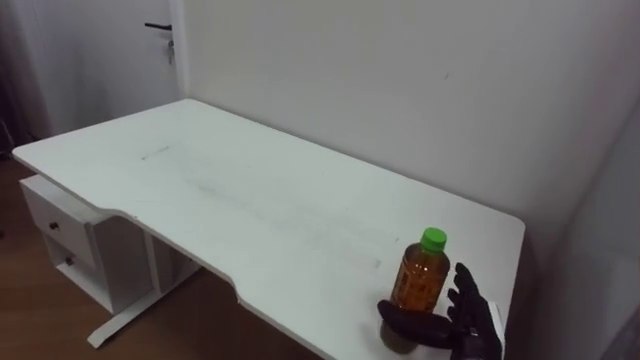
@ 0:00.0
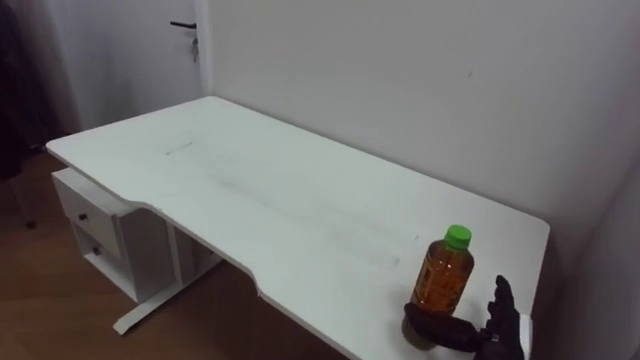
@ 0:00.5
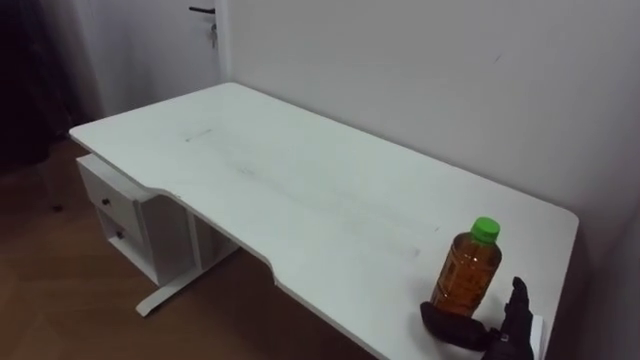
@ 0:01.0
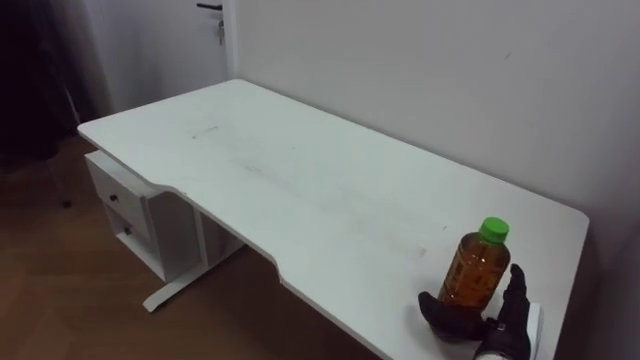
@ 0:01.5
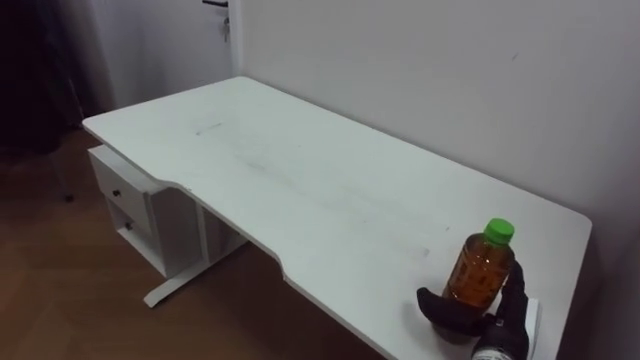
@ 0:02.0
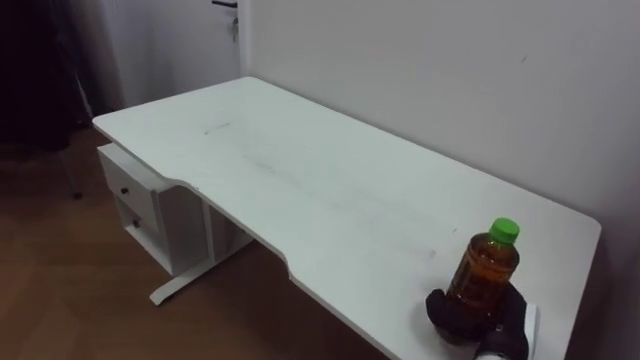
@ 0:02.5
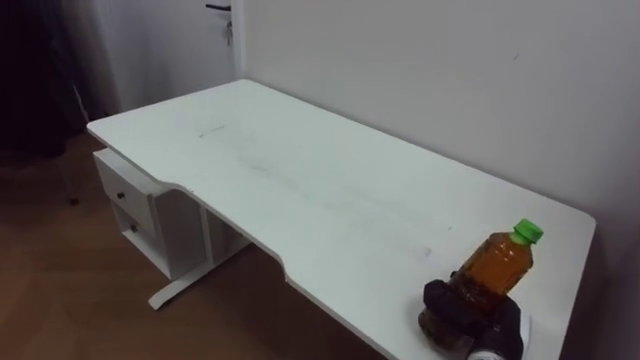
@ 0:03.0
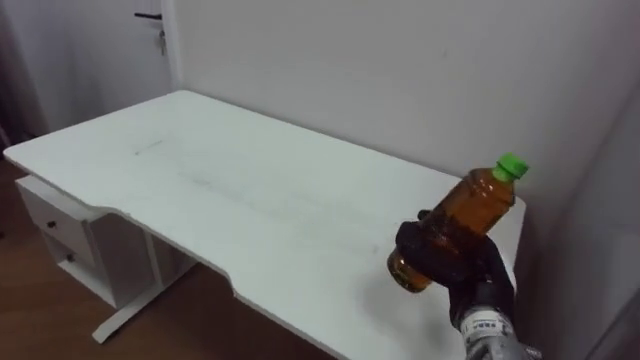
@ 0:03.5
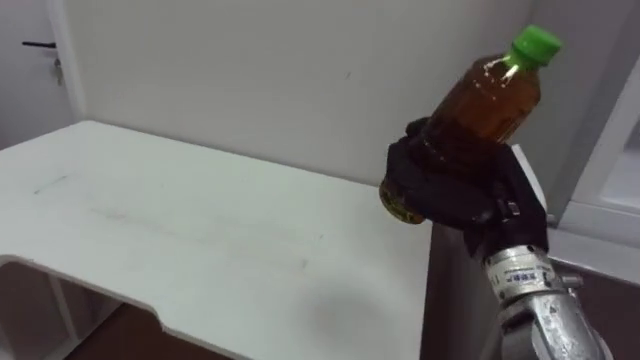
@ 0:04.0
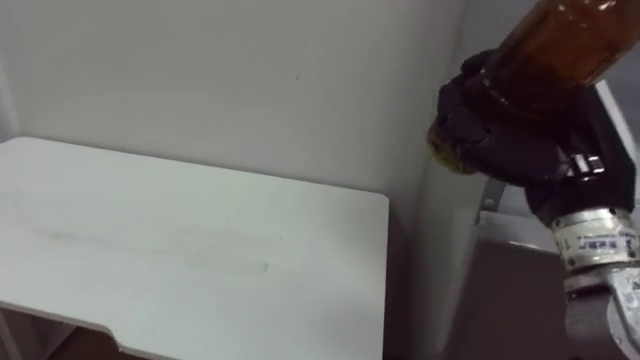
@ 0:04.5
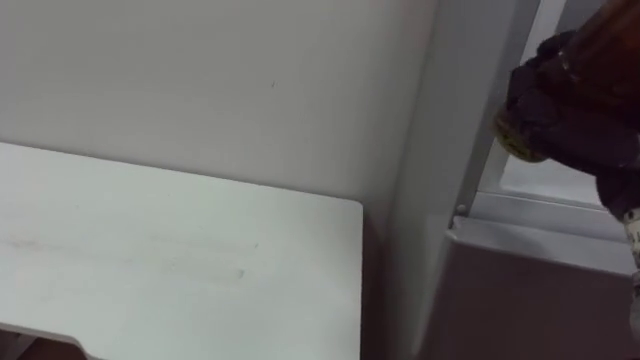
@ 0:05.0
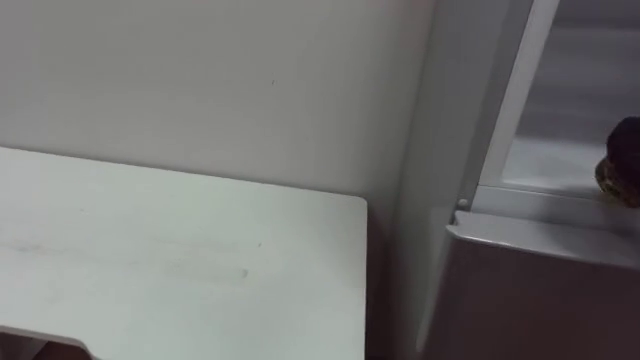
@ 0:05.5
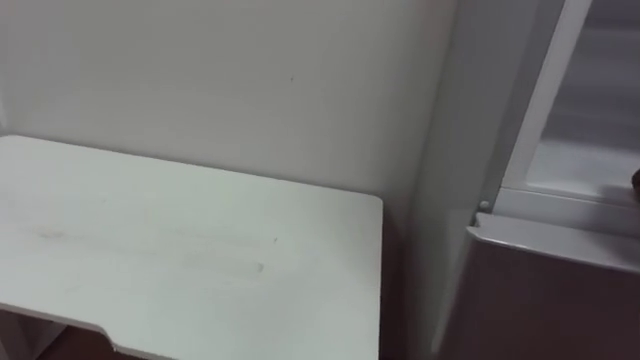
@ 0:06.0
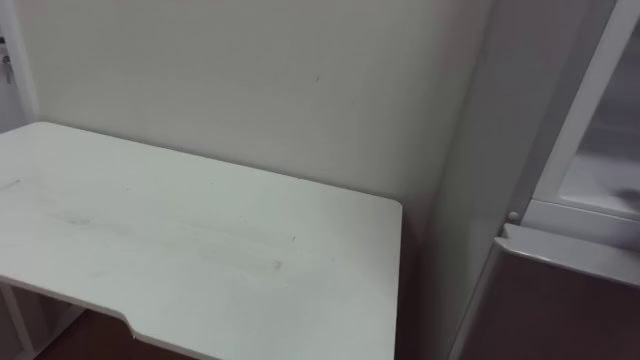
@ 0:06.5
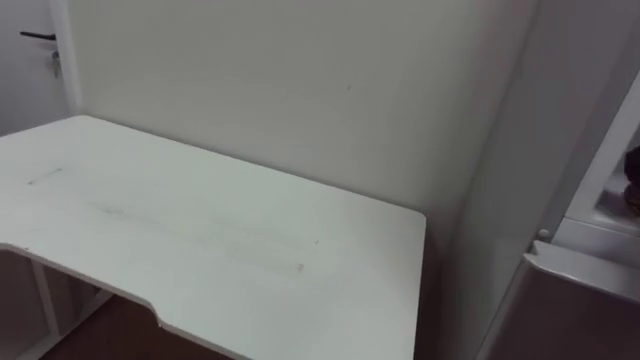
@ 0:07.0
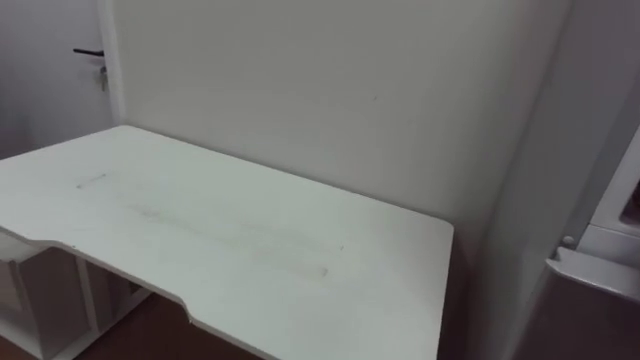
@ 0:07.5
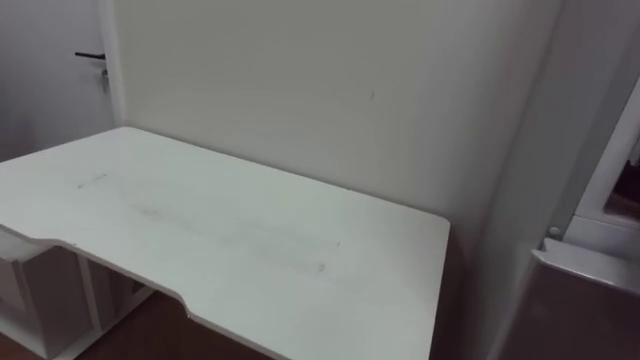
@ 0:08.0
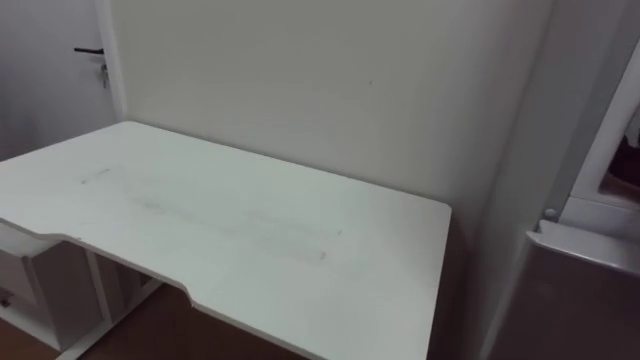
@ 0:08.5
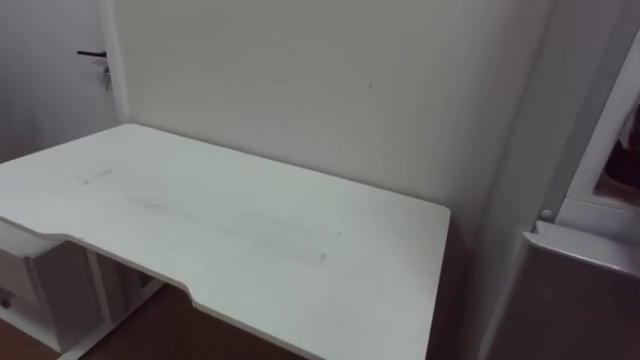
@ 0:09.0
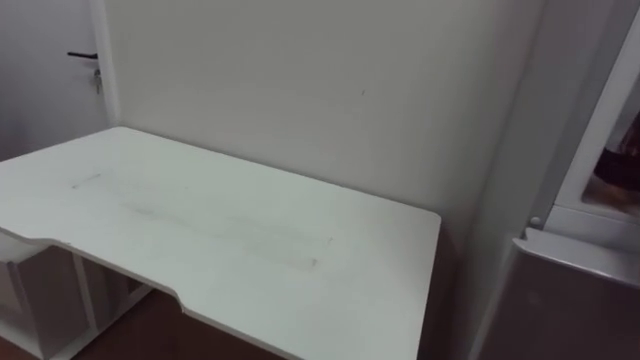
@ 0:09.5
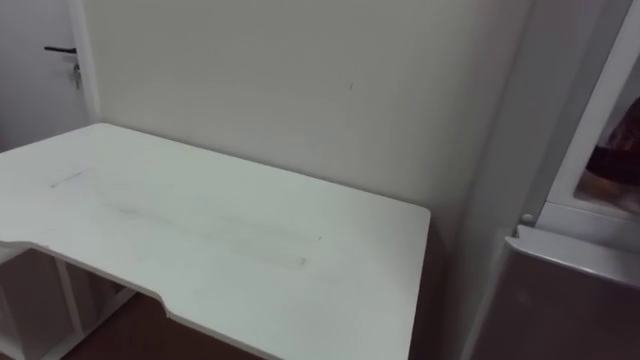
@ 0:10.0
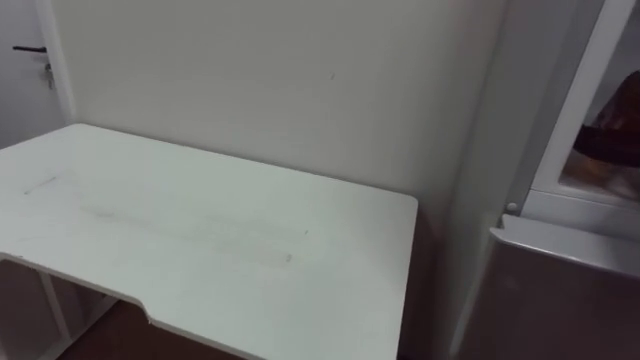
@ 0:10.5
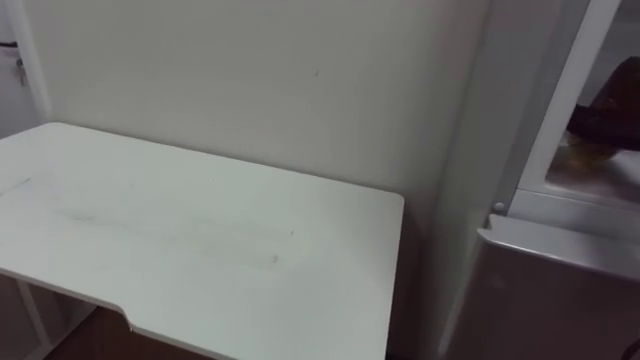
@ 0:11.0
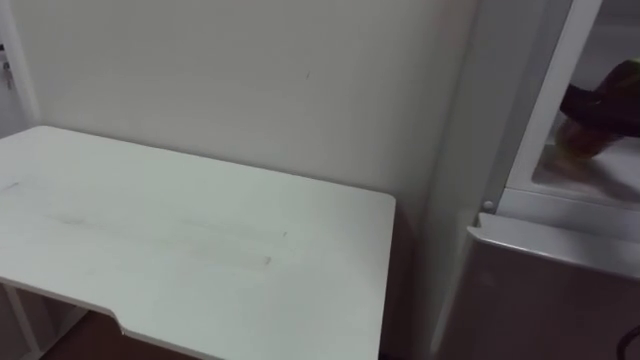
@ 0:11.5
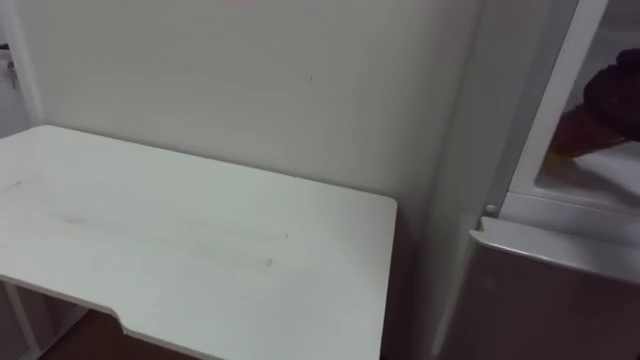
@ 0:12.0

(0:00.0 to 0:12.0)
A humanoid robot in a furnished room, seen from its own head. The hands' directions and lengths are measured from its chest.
Task of the whole recording: Open the upper refrigerator door, put the drink from the table into the refrigerator, and then close the refrigerator door.
0:02.0 - 0:04.0: The right hand heads upward, covering roughly 20 cm, and closes its fingers.

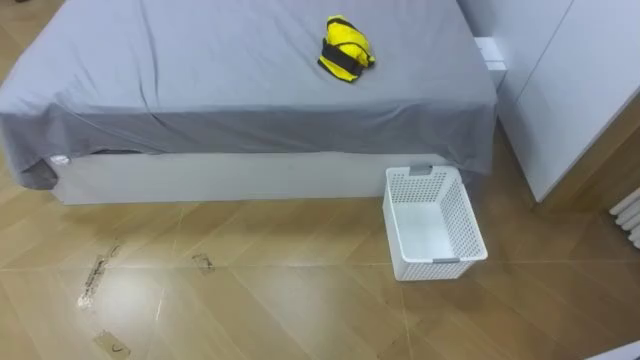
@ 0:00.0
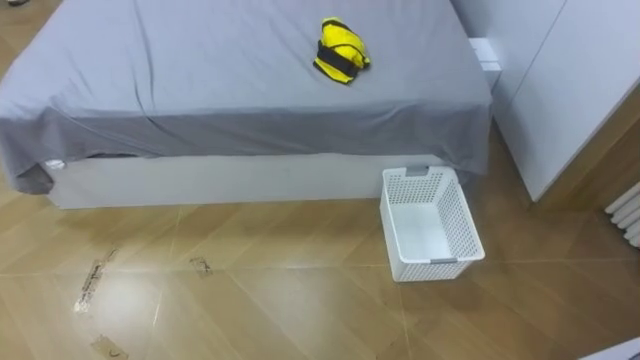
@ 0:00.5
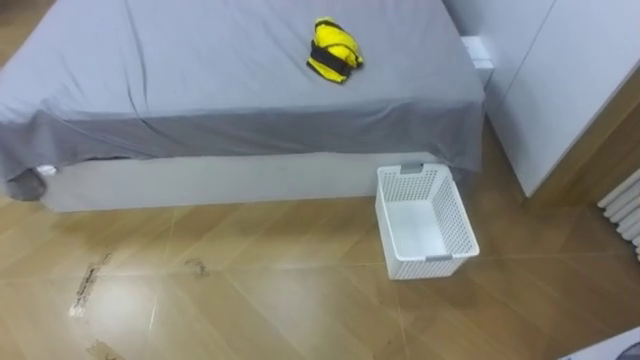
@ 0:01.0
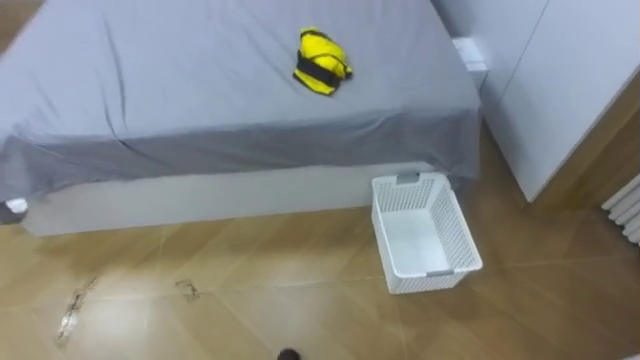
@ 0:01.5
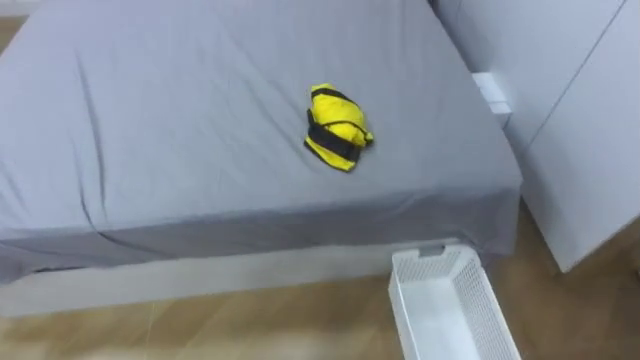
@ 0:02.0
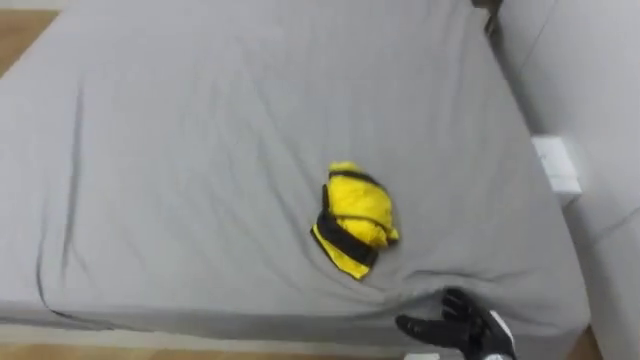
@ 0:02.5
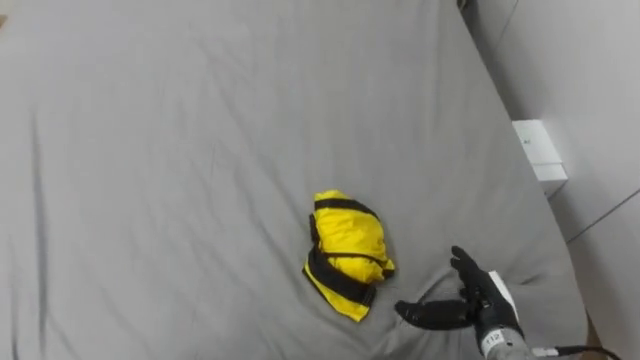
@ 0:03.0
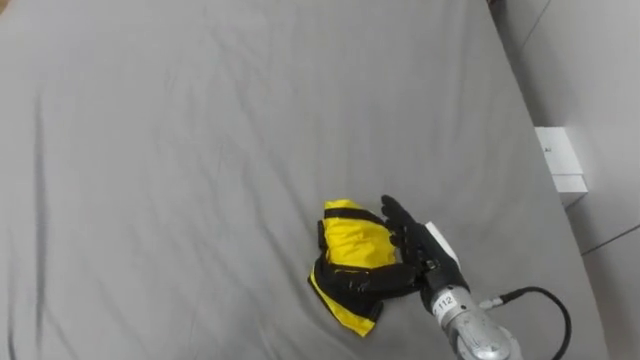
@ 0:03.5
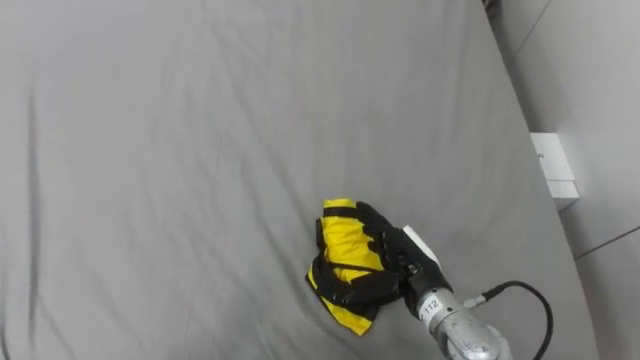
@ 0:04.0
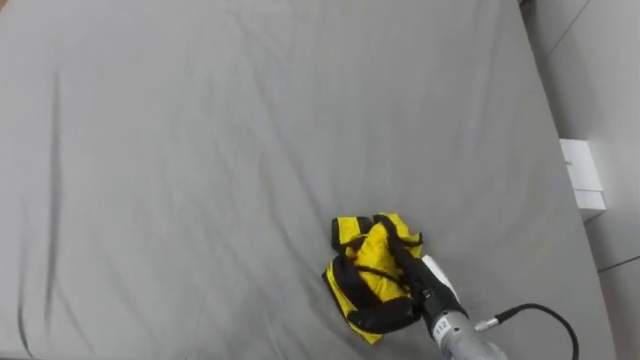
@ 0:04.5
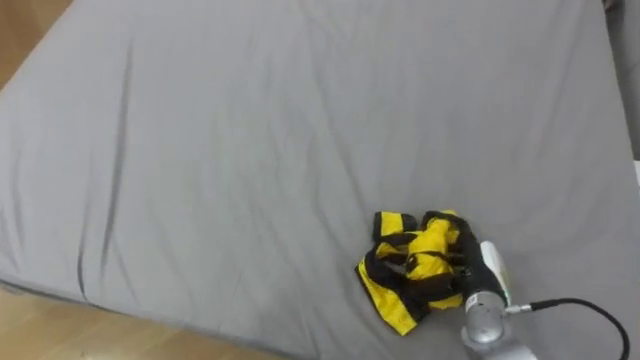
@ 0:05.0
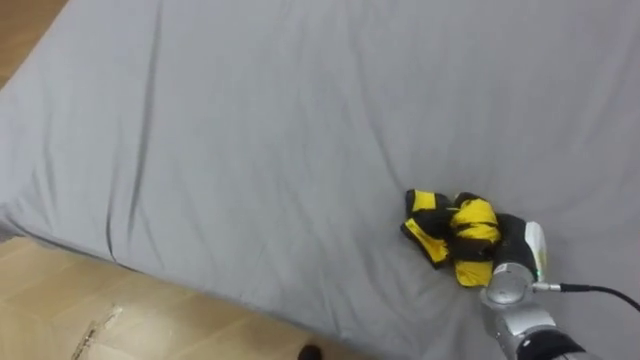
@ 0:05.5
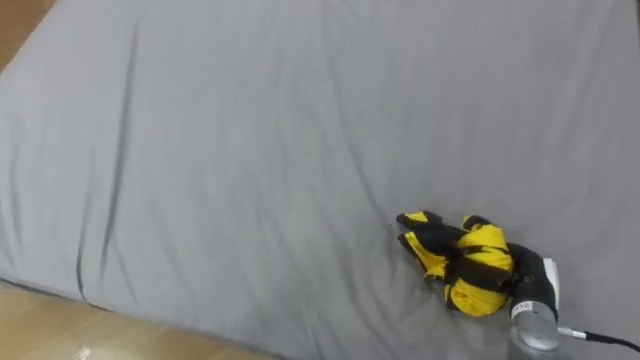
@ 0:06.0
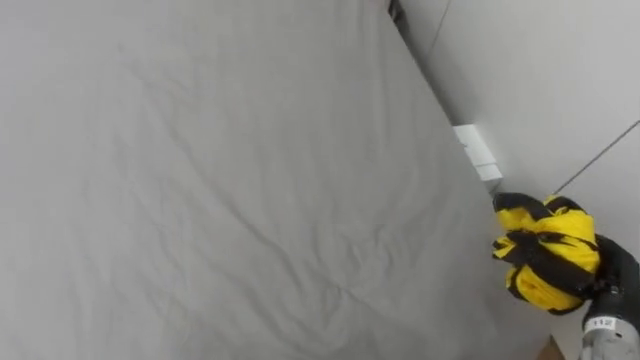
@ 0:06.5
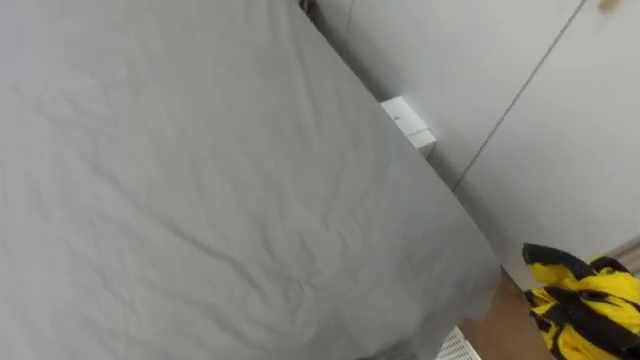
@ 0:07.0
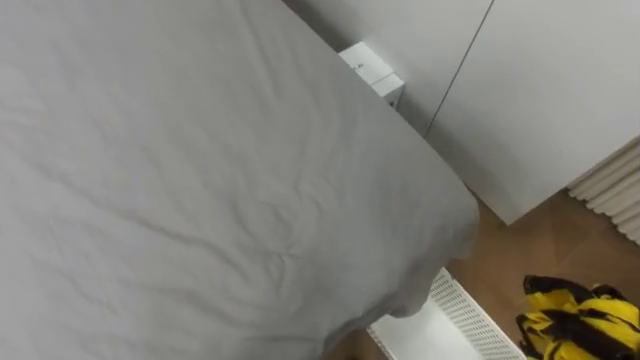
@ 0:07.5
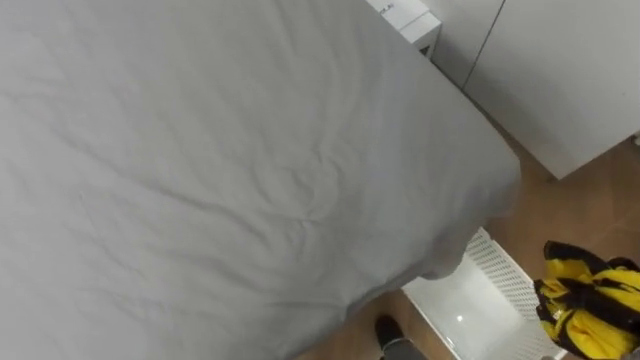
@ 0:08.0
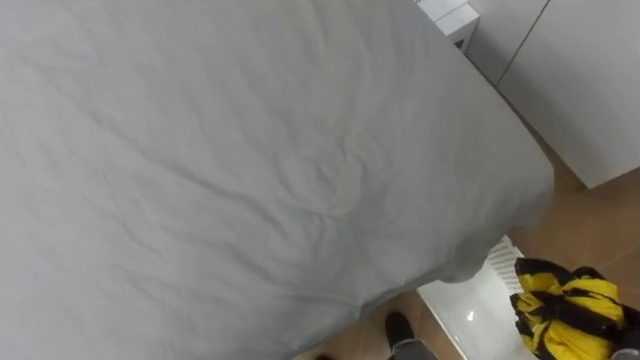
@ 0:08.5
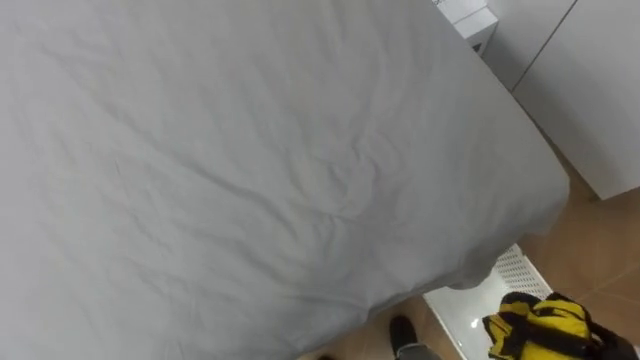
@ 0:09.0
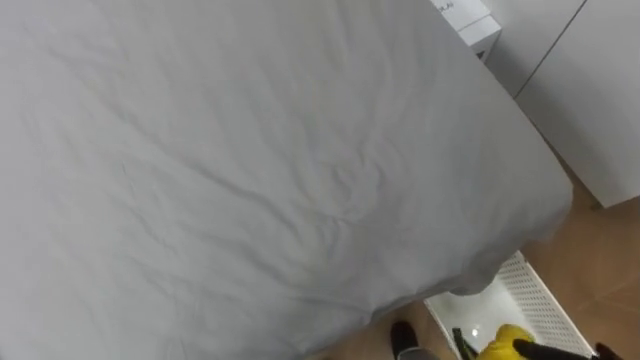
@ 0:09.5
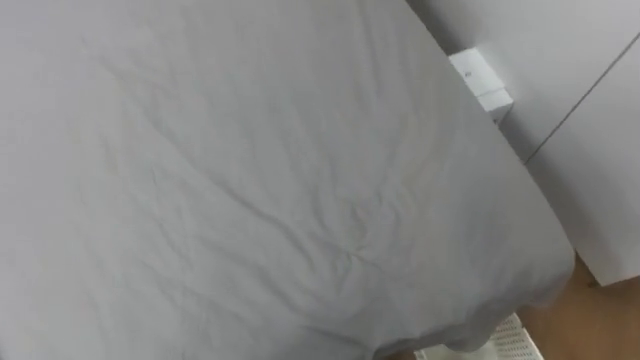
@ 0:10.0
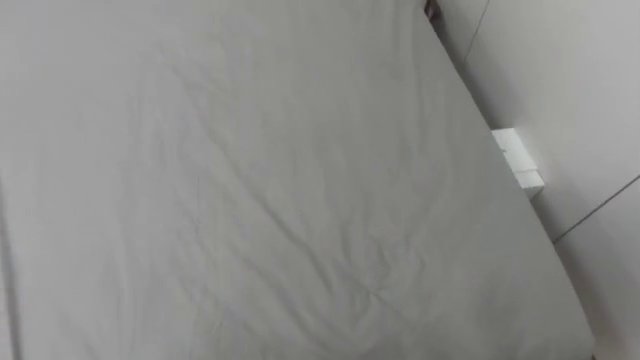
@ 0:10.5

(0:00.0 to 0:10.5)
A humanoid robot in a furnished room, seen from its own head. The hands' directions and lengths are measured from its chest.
Task of the whole recording: Pick up the yellow clothes on the bed and place them into the white basket on the right.
0:04.0 - 0:06.5: The right hand moves to the right, some 25 cm, and closes up.
